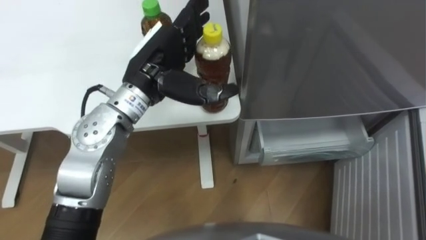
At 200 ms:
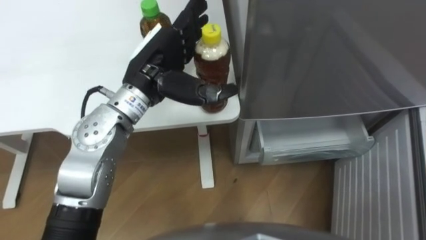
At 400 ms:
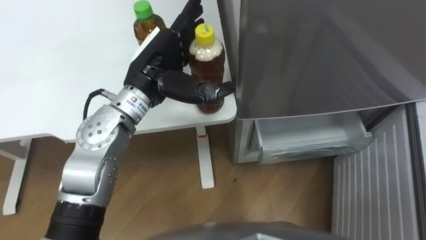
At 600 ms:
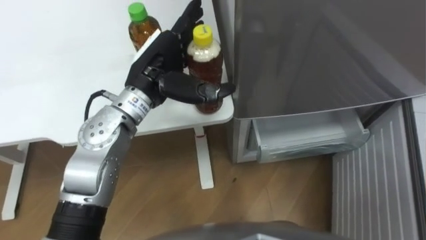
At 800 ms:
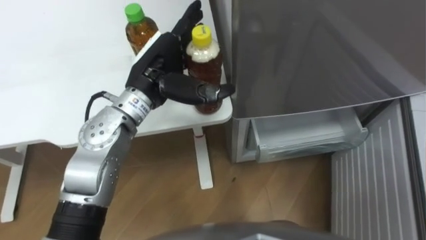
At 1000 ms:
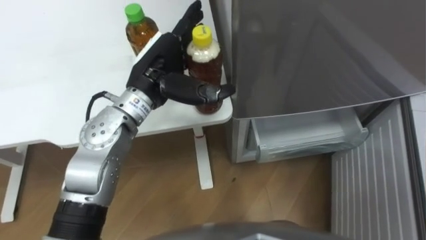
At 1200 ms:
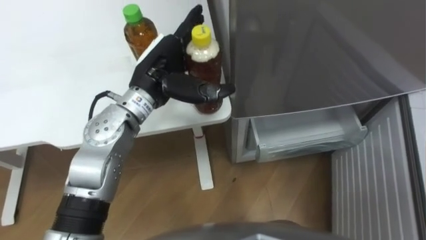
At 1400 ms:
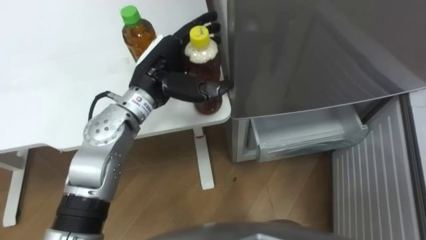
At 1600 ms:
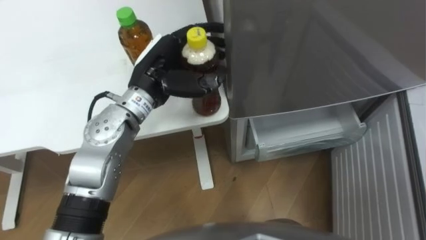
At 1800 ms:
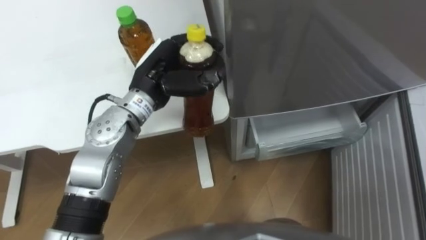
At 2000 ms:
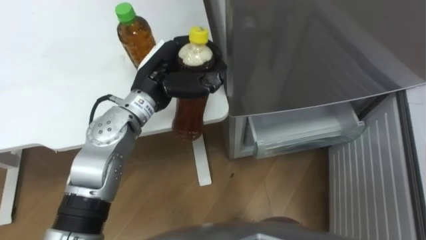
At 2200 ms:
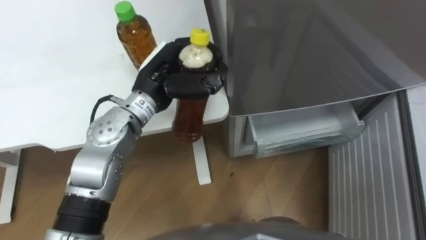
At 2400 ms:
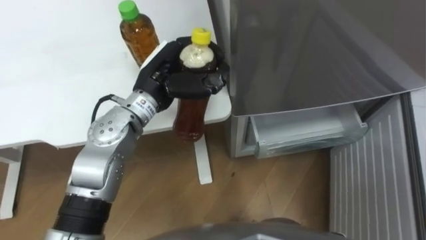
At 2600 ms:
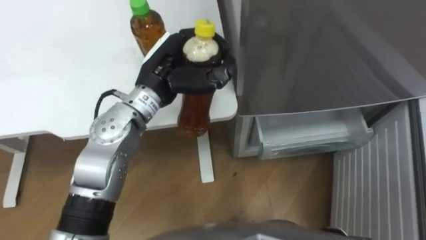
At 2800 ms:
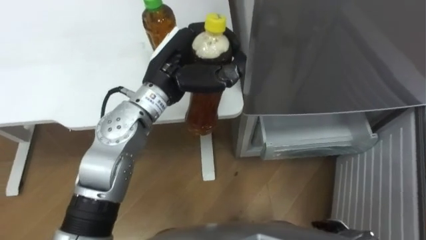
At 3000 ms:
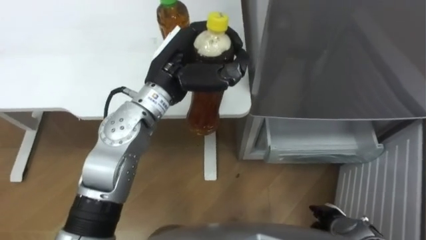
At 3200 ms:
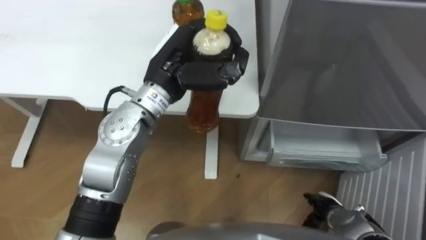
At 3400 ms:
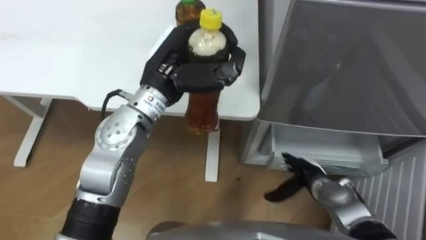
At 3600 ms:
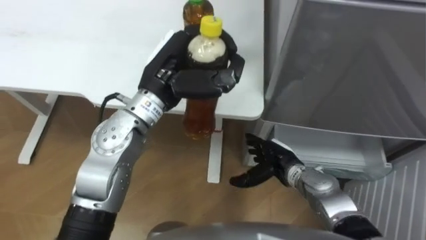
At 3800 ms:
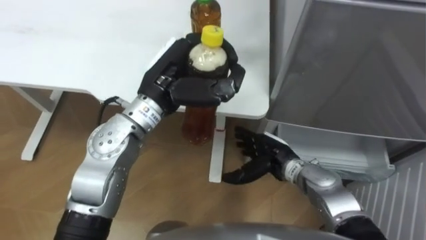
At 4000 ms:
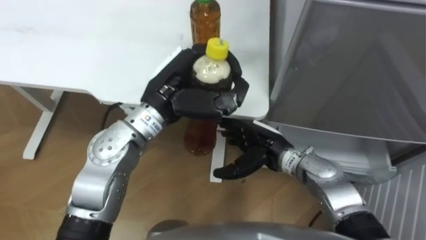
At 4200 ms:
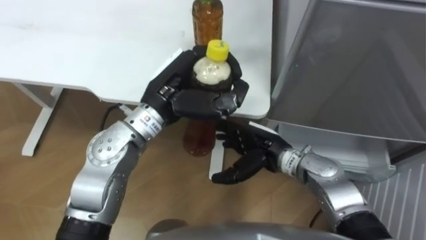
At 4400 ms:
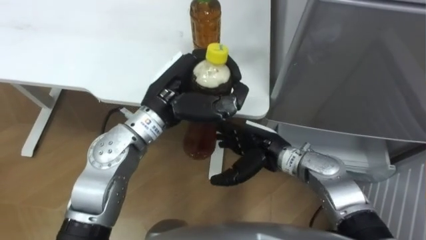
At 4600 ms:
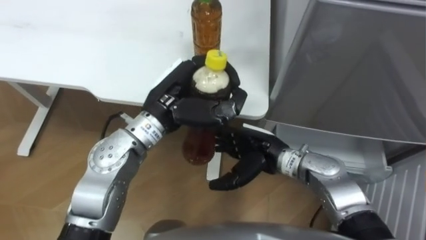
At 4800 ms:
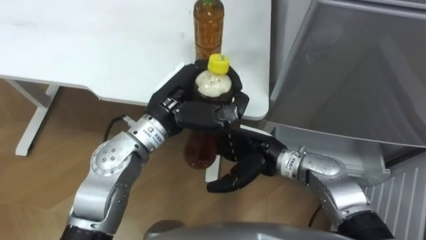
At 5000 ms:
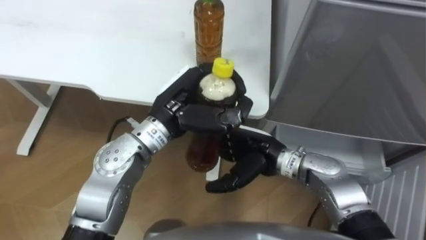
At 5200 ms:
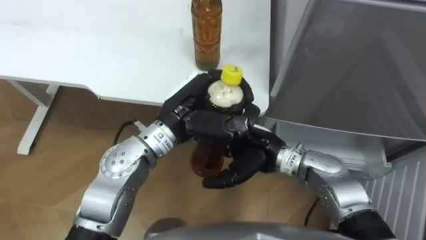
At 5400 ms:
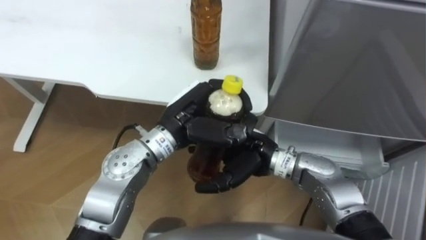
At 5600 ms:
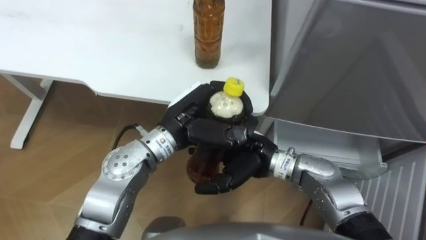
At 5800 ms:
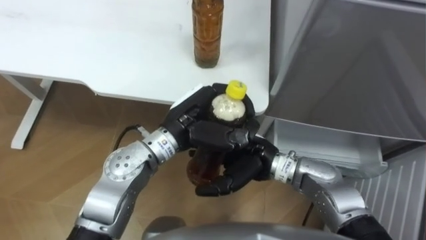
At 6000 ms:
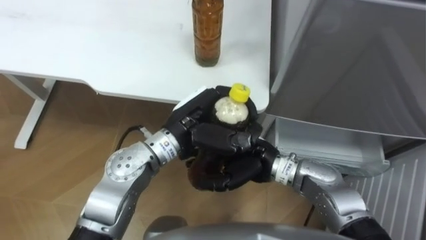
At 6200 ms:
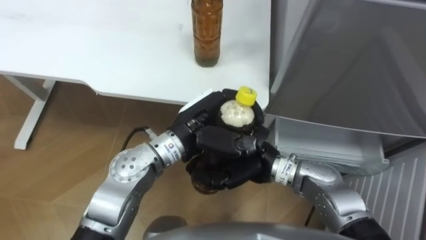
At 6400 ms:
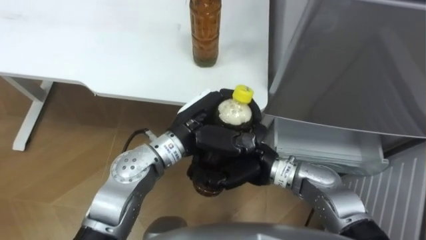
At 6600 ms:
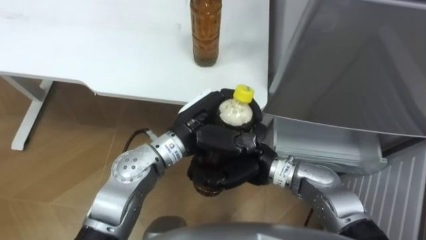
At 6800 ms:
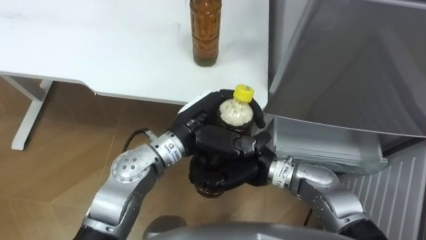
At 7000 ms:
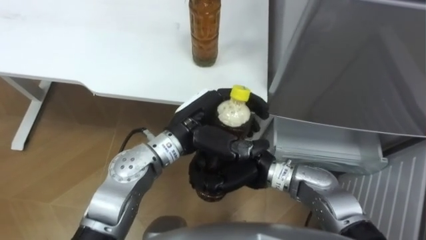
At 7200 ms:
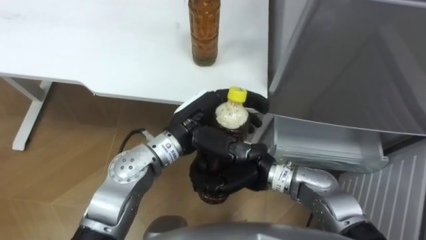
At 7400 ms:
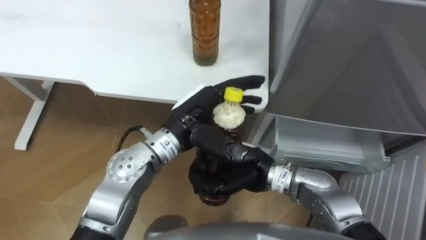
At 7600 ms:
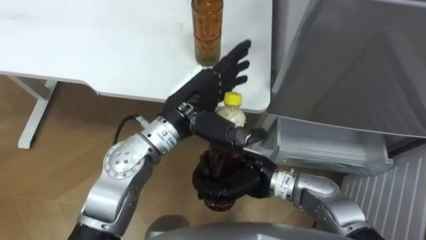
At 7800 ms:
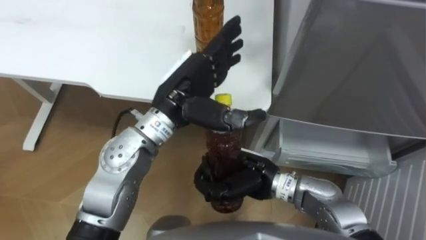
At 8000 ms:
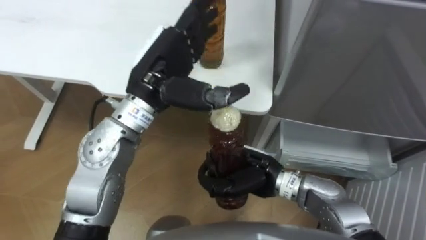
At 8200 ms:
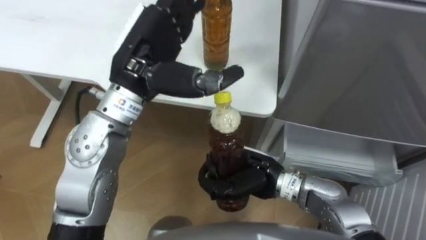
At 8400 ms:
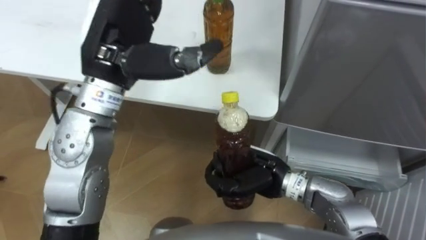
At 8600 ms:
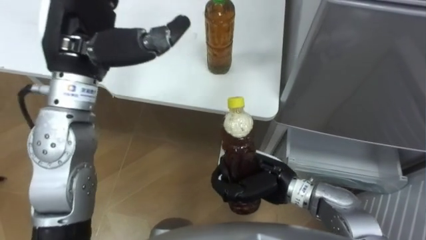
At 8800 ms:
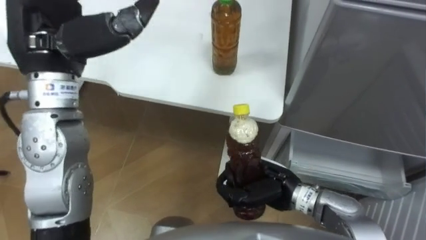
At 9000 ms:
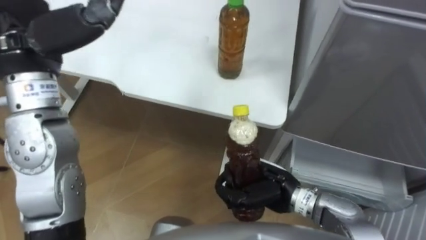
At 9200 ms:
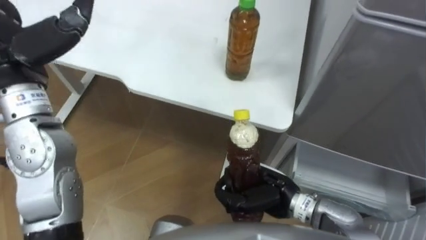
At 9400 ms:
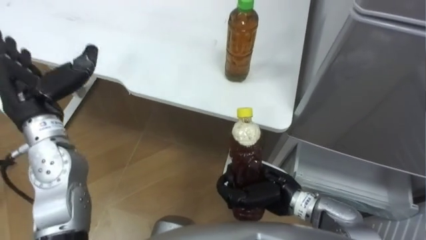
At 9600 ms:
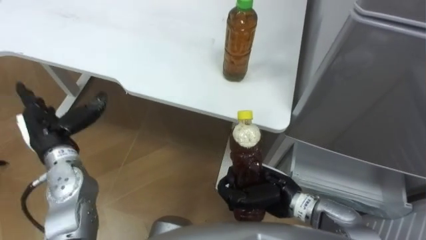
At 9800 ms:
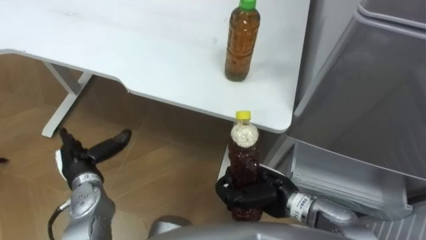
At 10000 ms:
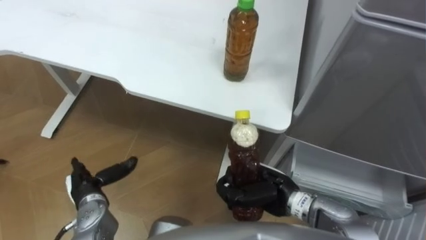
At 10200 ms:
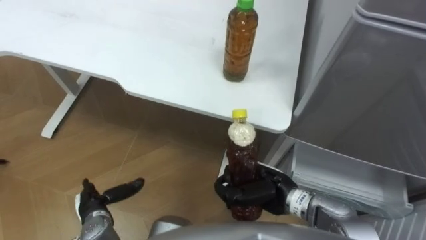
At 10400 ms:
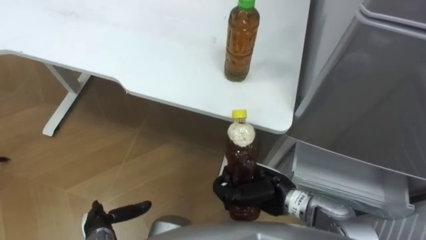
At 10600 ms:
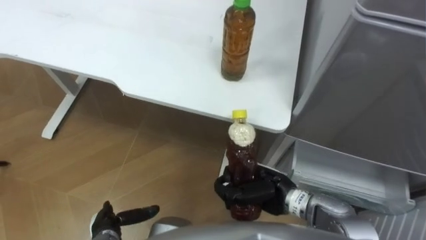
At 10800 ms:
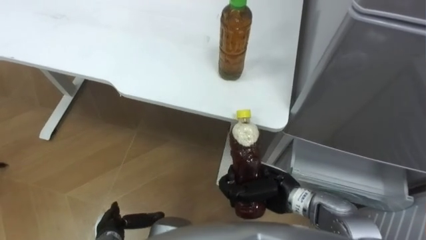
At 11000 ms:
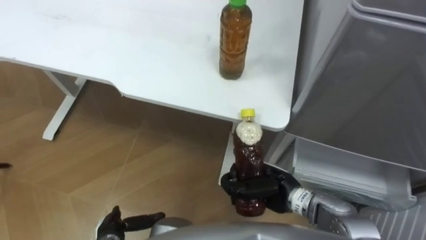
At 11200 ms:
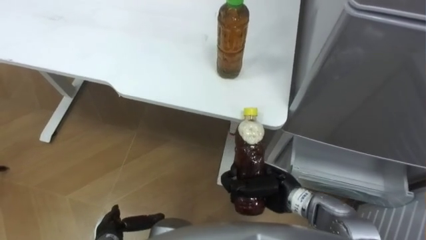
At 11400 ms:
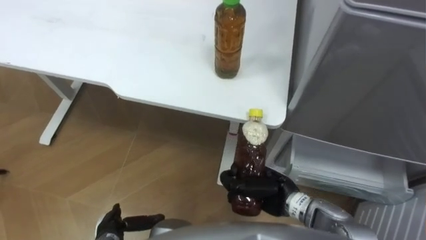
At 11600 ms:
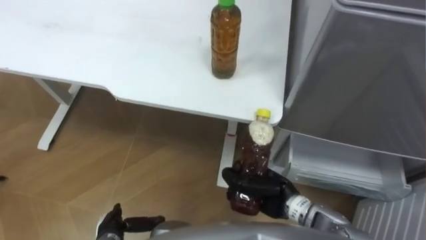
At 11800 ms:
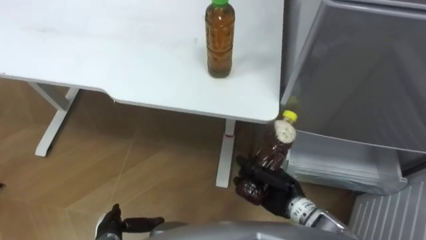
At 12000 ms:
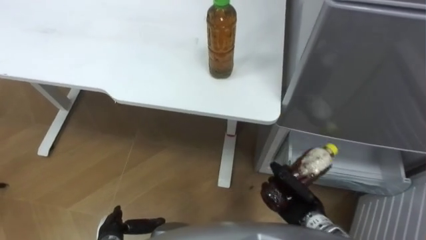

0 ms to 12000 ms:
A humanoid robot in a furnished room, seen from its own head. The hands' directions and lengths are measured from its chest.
Task of the whole recording: Place the drink on the table on the bottom shelf of the refrigerator, then close the drawer and the refrigerator door.
0 ms to 1600 ms: The left hand closes.
1600 ms to 3000 ms: The left hand closes.
3000 ms to 4400 ms: The right hand goes roughly 25 cm to the left, upward and forward.
4400 ms to 6000 ms: The right hand moves some 5 cm. The left hand changes place by about 5 cm.
6000 ms to 7600 ms: The left hand opens. The right hand closes.
7600 ms to 9000 ms: The right hand moves some 5 cm. Meanwhile the left hand shifts approximately 25 cm to the left and upward.
10400 ms to 12000 ms: The right hand moves to the right and downward, some 10 cm.

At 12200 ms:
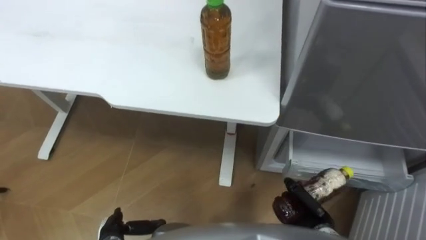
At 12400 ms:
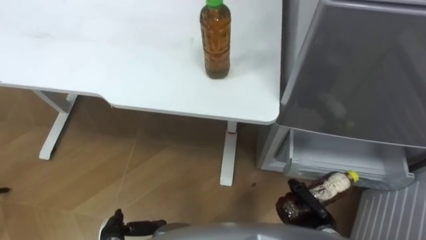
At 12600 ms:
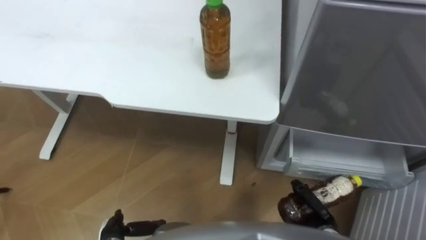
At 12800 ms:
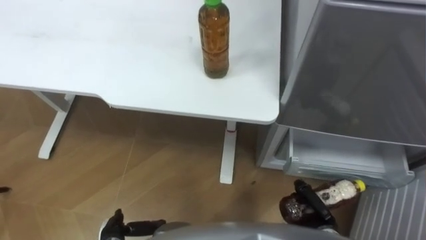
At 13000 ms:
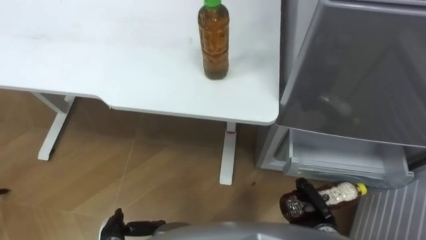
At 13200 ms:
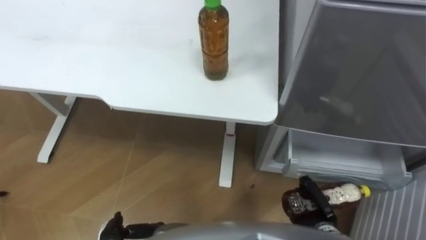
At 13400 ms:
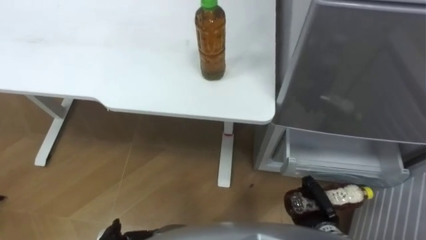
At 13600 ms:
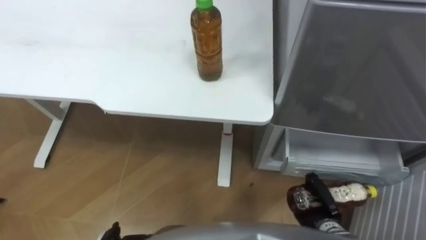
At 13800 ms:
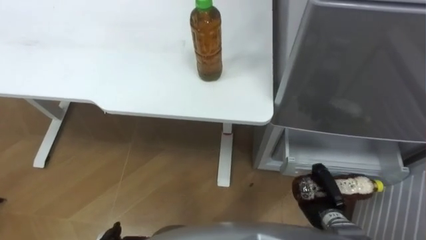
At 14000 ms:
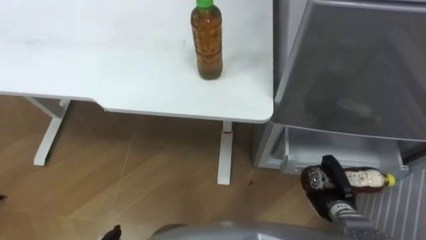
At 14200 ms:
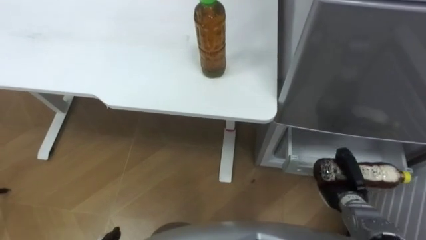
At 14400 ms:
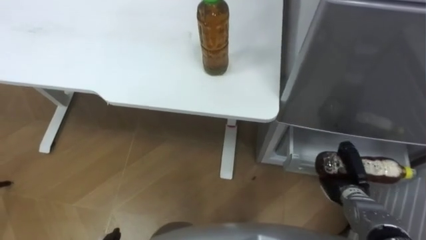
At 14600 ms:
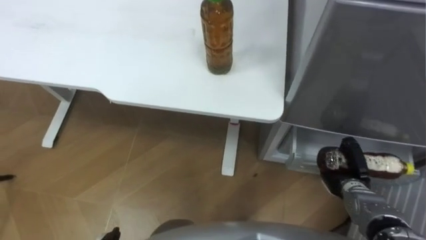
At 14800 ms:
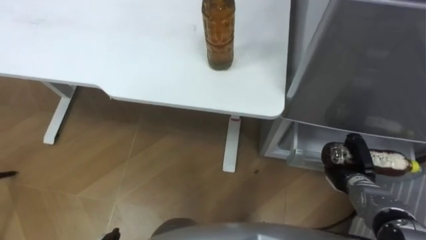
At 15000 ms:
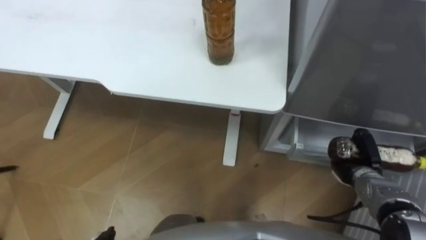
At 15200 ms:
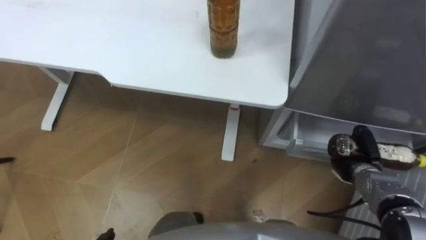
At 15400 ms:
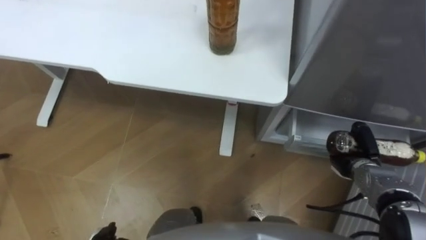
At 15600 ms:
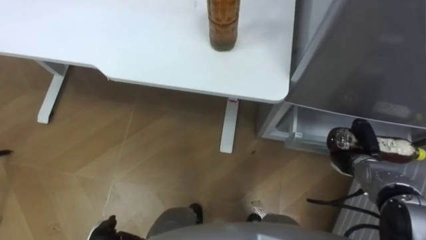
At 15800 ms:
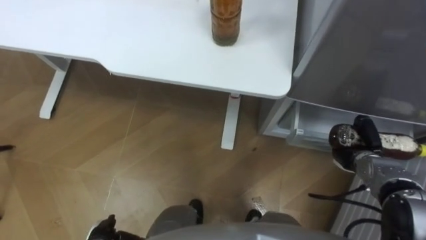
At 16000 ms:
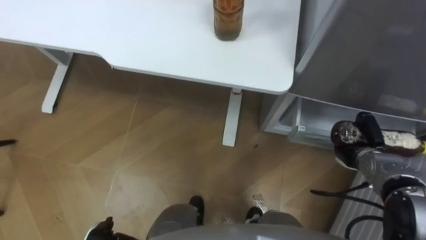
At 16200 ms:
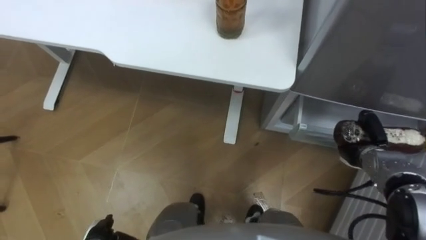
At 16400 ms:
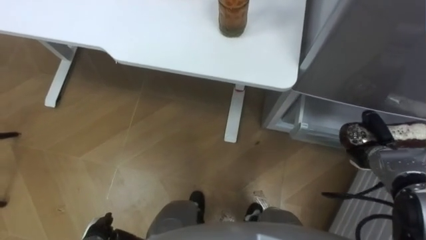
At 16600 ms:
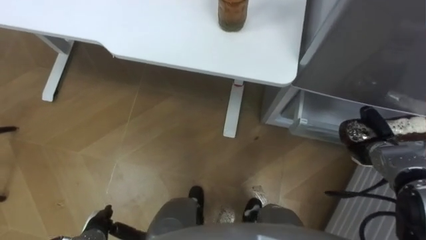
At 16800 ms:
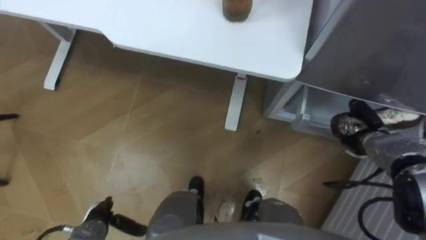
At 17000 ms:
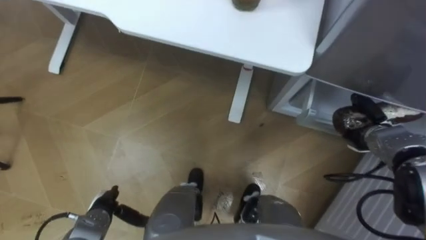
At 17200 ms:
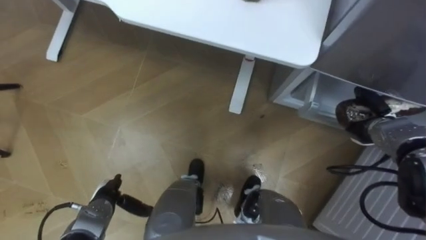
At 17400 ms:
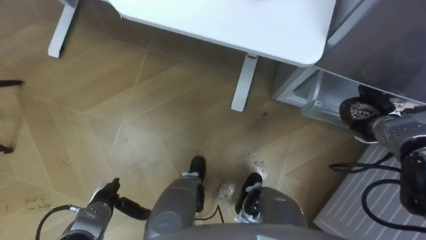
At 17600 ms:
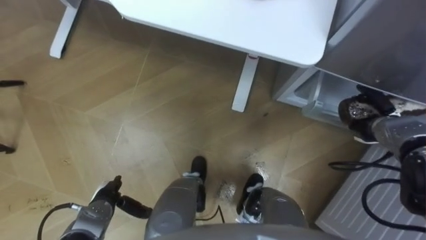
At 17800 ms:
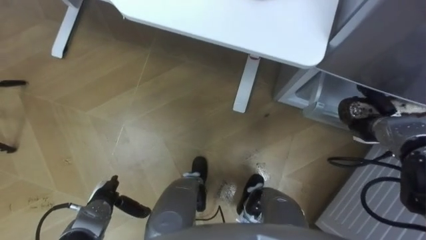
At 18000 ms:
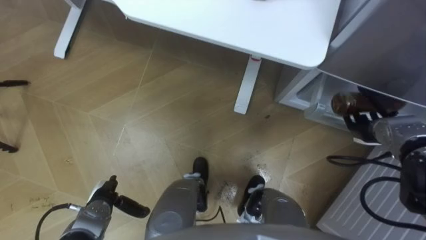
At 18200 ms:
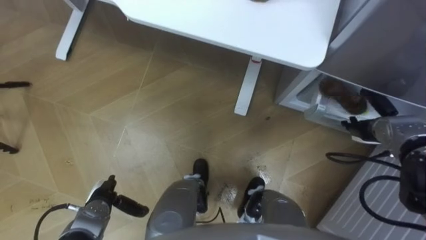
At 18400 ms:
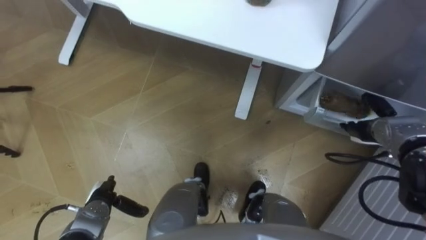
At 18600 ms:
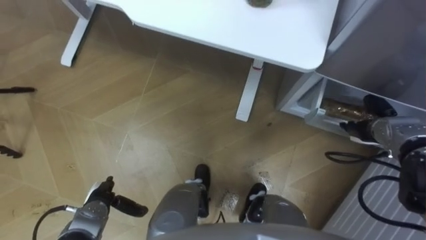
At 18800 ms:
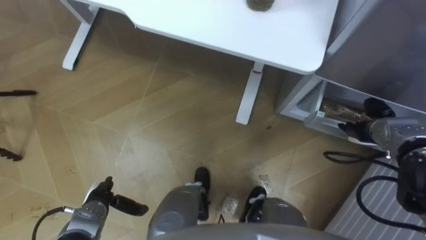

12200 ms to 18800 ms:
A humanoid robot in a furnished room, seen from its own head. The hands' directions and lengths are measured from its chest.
Task of the whole recording: Place the drink on the table on the bottom shelf of the refrigerator, then close the drawer and the refrigerator door.
13800 ms to 15400 ms: The right hand travels forward and to the right by some 10 cm.
15400 ms to 17200 ms: The right hand shifts about 10 cm forward and upward.
17200 ms to 18800 ms: The right hand opens its fingers.
